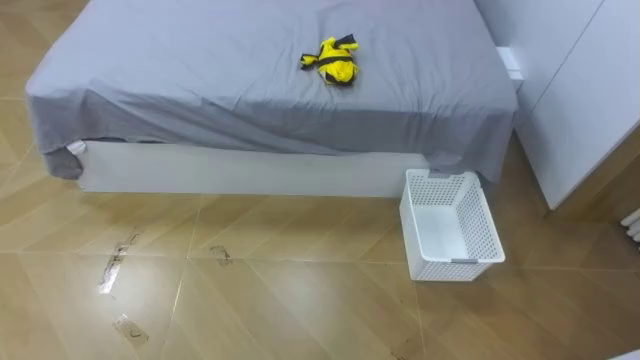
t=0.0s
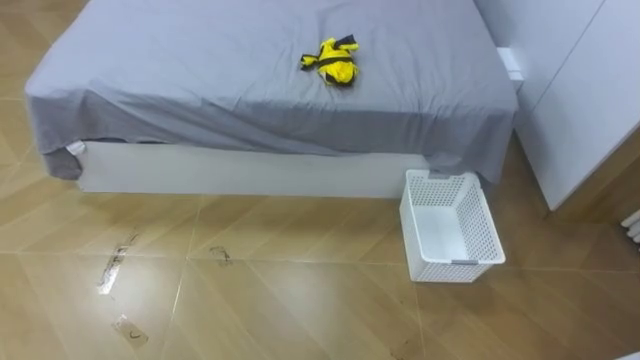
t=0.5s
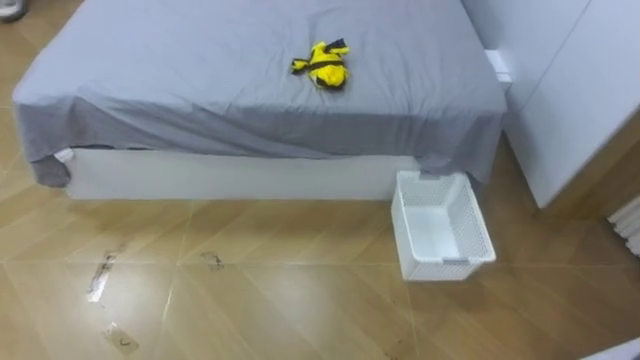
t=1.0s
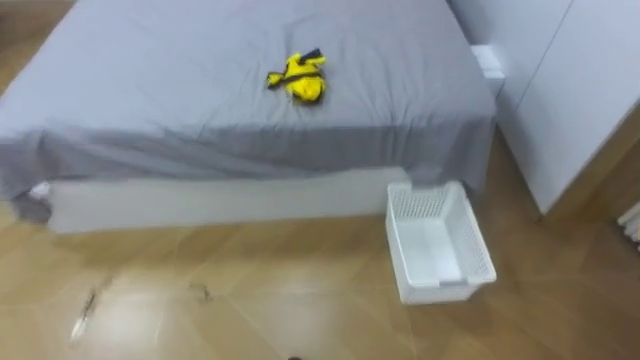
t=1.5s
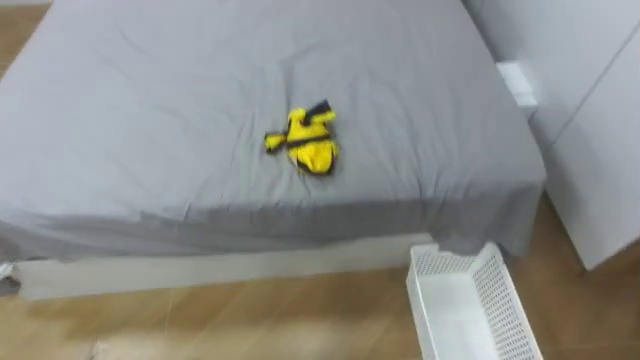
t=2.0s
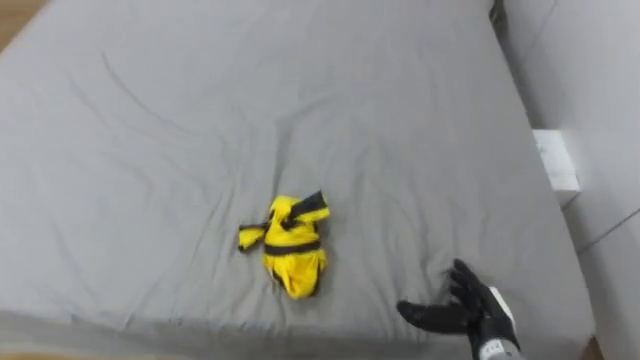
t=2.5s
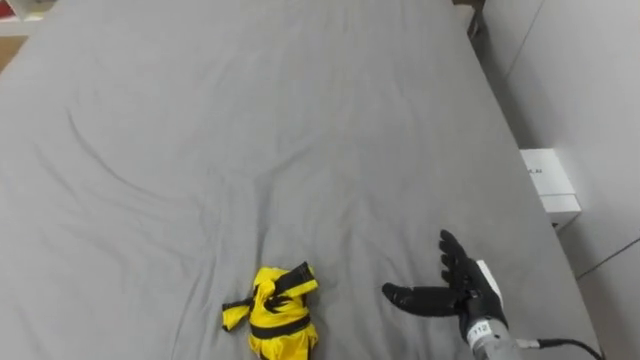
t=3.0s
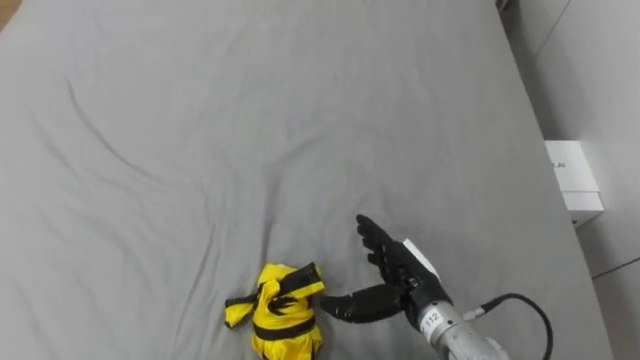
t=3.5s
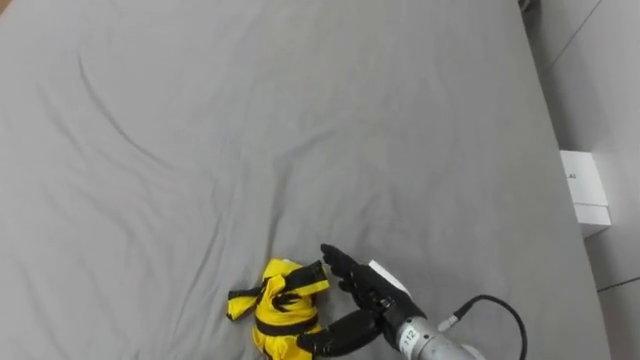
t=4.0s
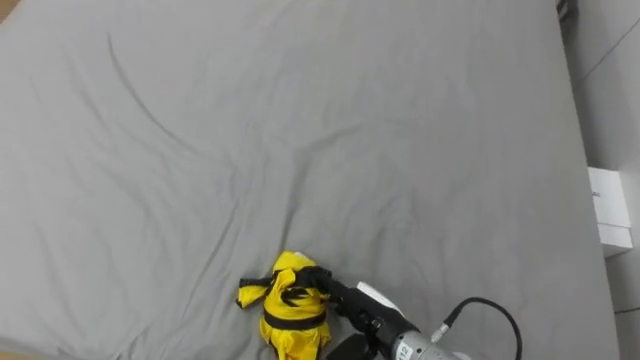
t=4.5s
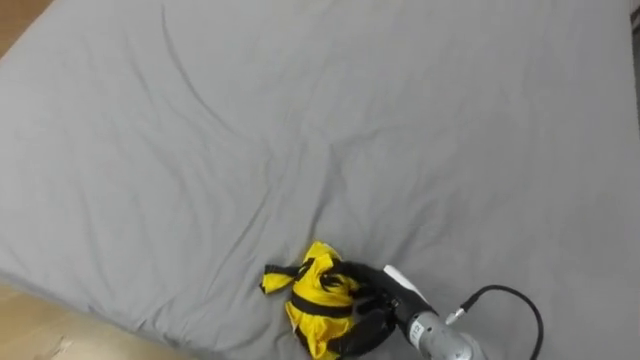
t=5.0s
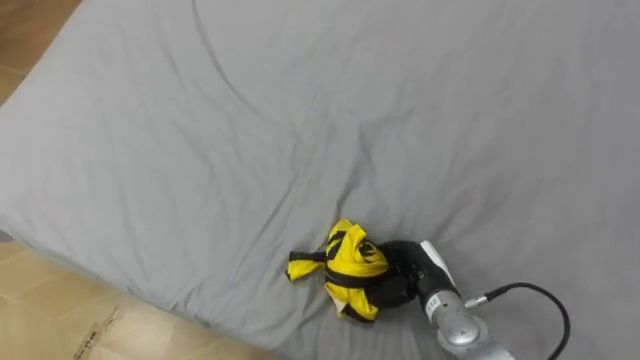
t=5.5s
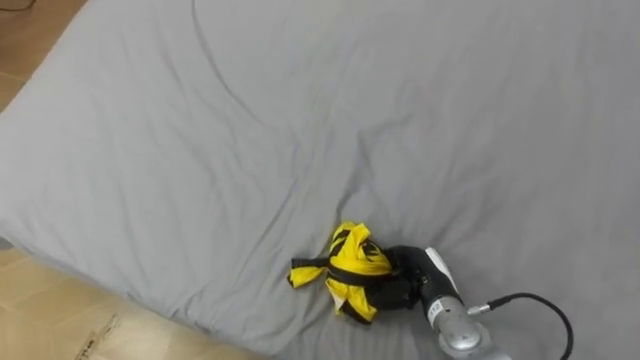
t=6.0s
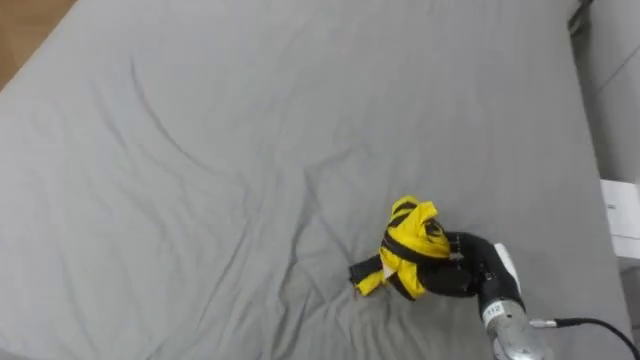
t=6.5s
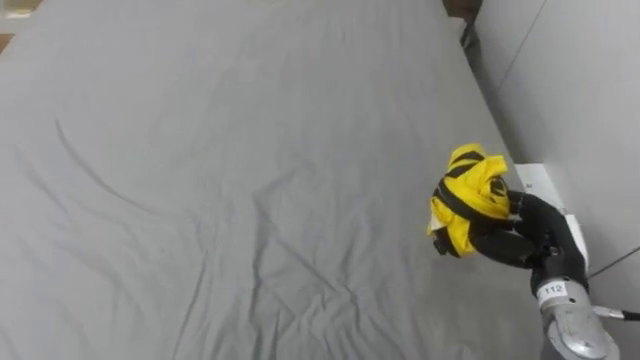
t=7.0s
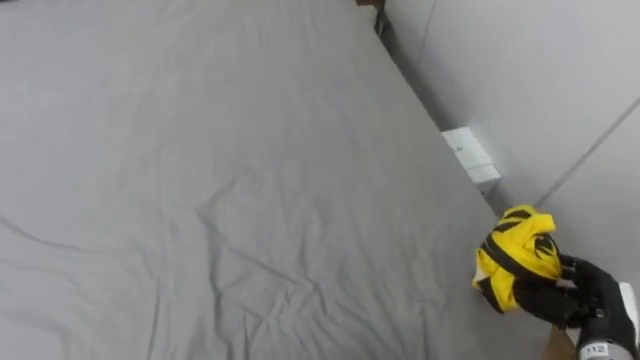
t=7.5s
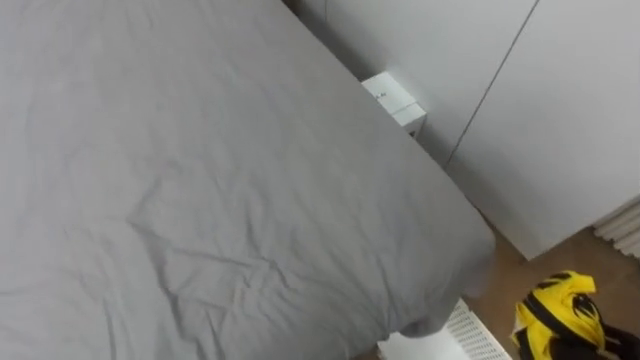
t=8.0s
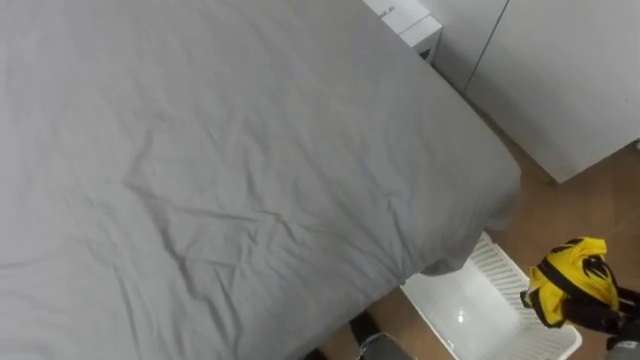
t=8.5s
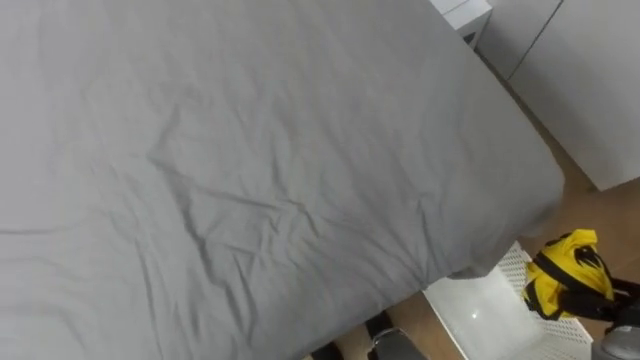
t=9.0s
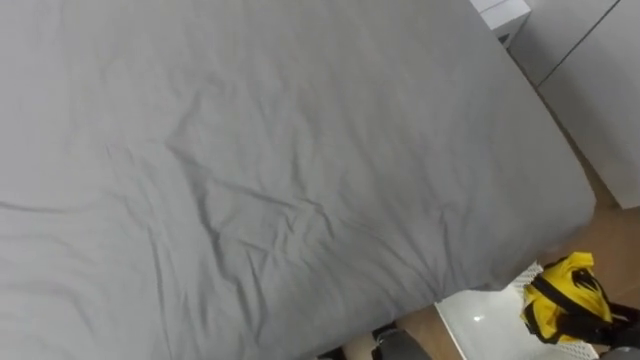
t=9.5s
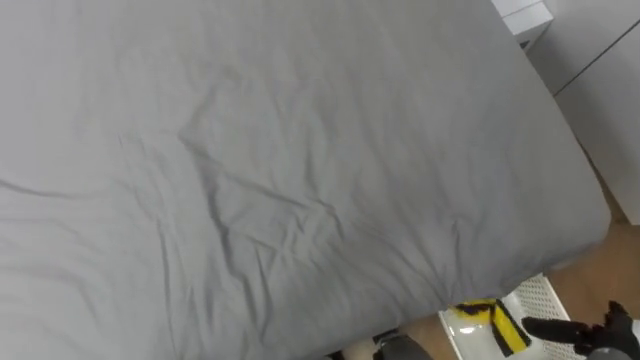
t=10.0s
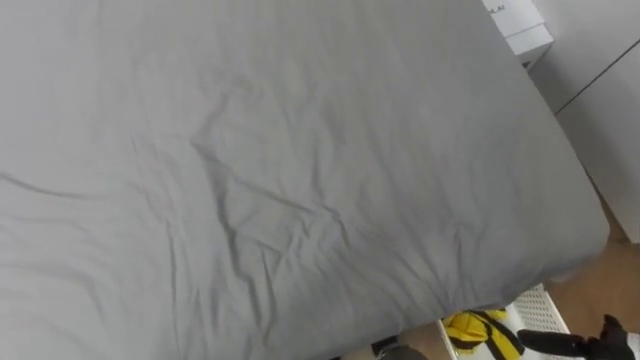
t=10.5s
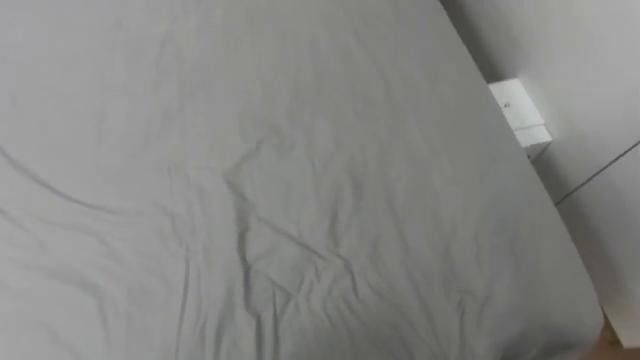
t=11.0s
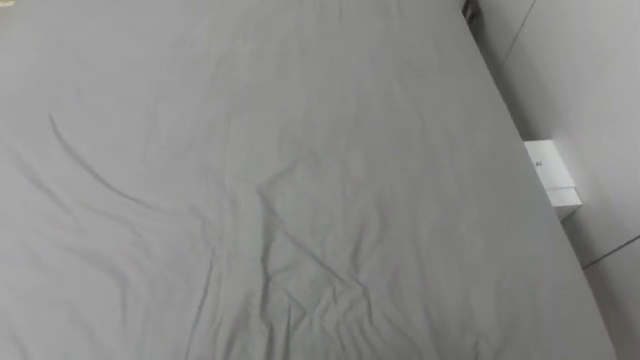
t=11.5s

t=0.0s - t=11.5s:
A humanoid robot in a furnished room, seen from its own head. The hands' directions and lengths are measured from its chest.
Task of the whole recording: Pick up the yellow clothes on the bed and place them into the white basket on the right.
t=4.0s - t=6.0s: The right hand is displaced to the right by some 5 cm, and closes.
t=6.0s - t=7.5s: The right hand is displaced to the right by roughly 20 cm.

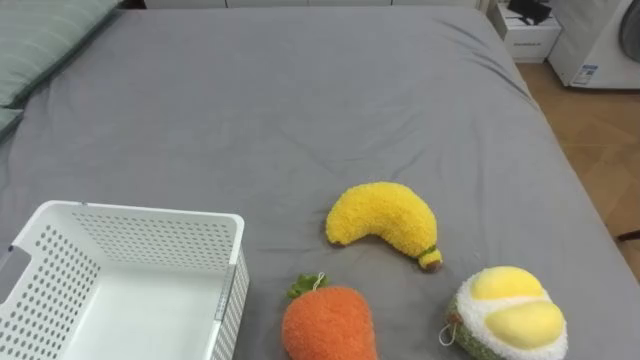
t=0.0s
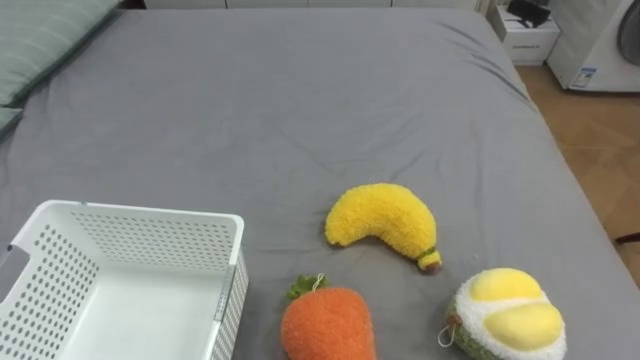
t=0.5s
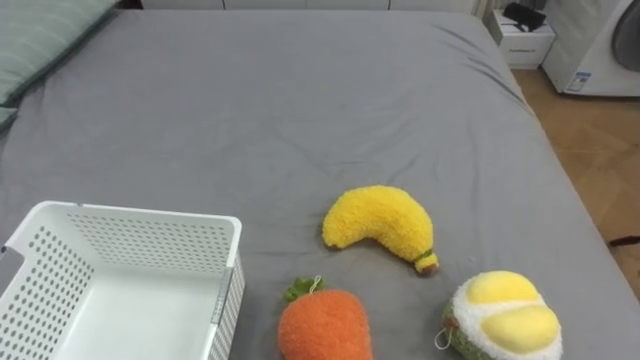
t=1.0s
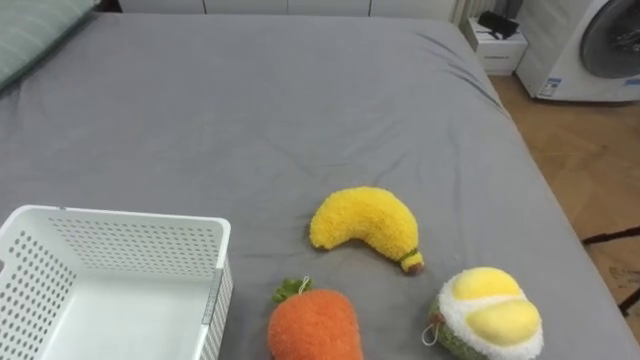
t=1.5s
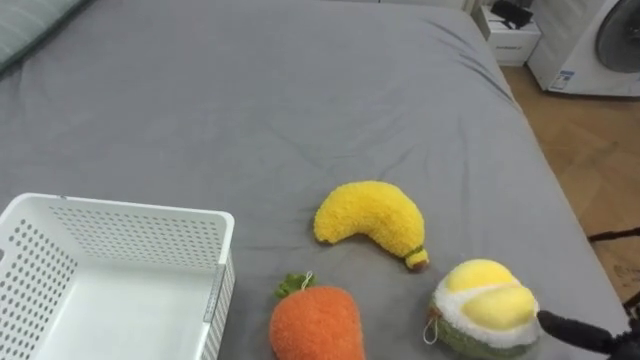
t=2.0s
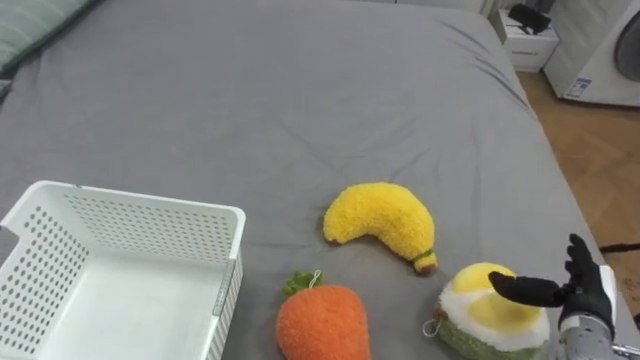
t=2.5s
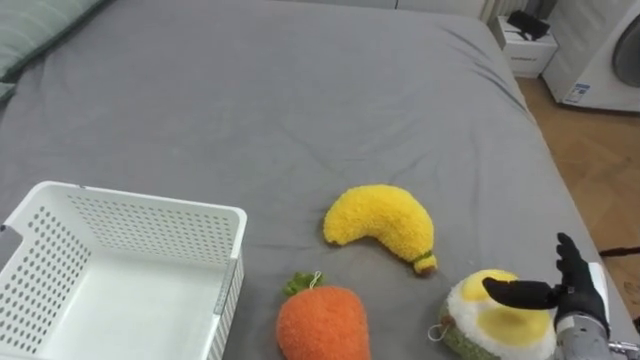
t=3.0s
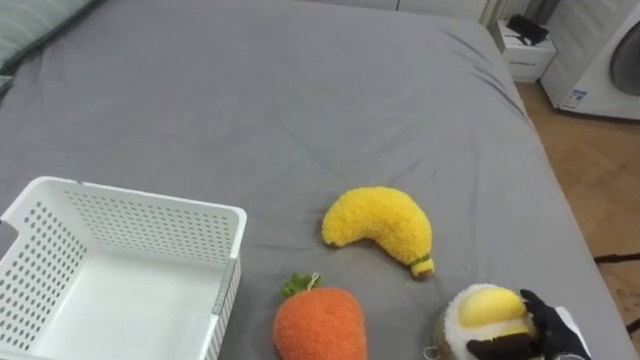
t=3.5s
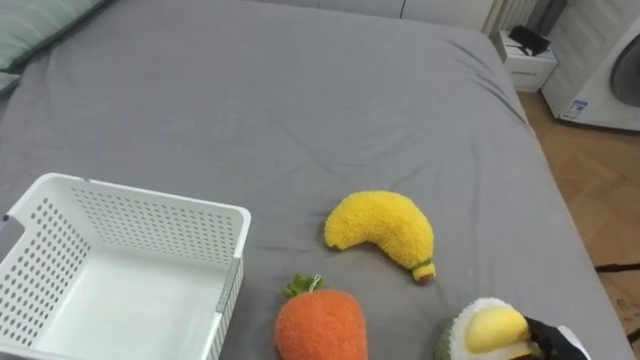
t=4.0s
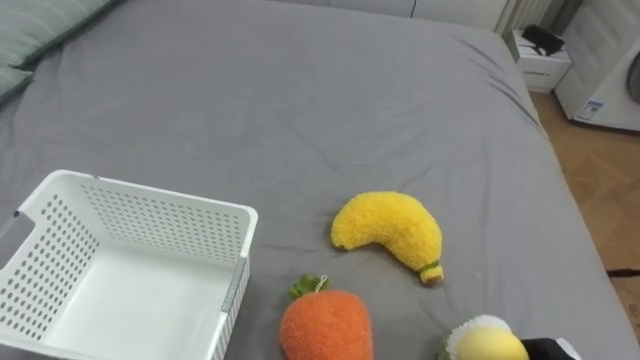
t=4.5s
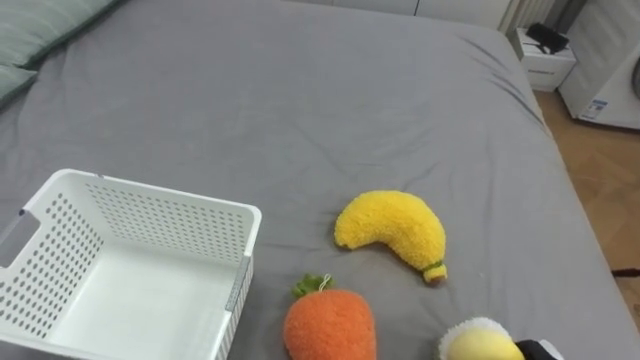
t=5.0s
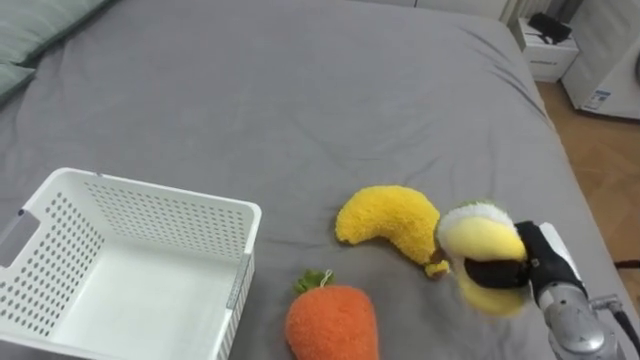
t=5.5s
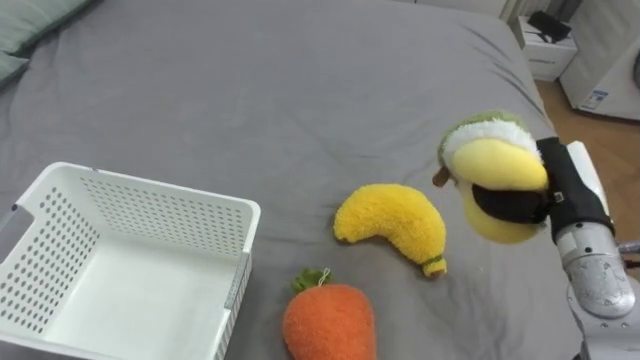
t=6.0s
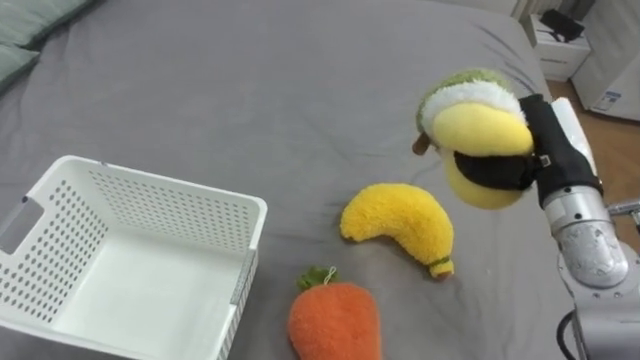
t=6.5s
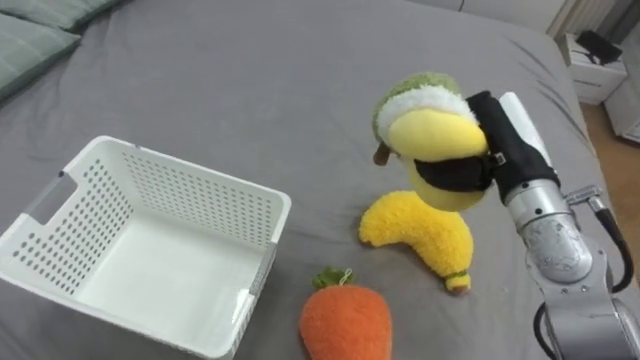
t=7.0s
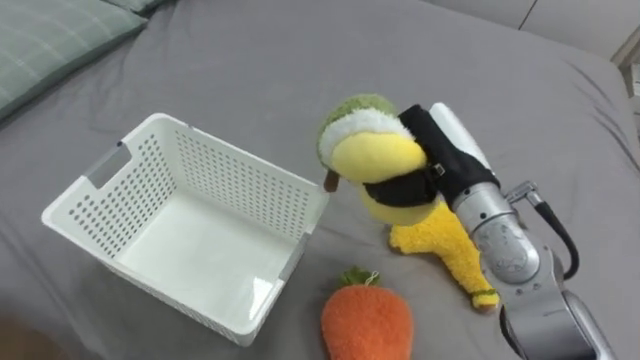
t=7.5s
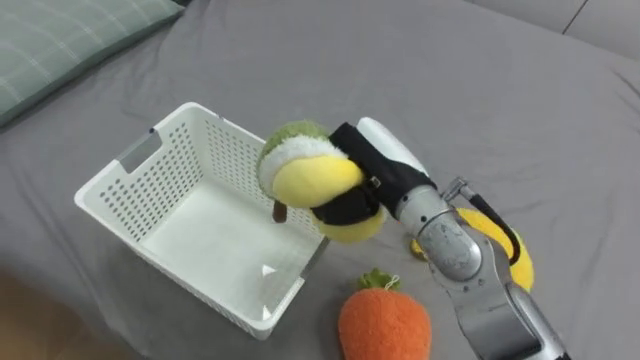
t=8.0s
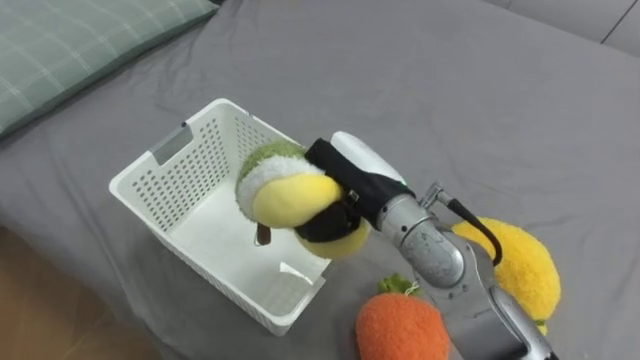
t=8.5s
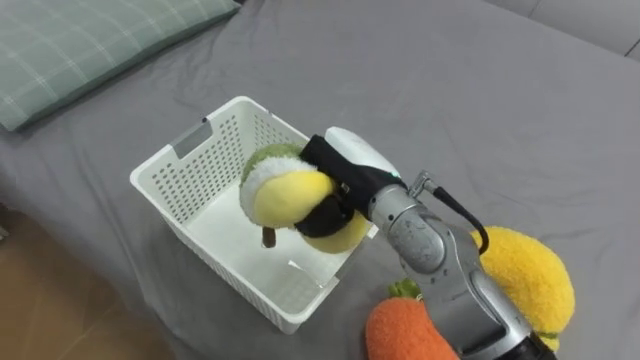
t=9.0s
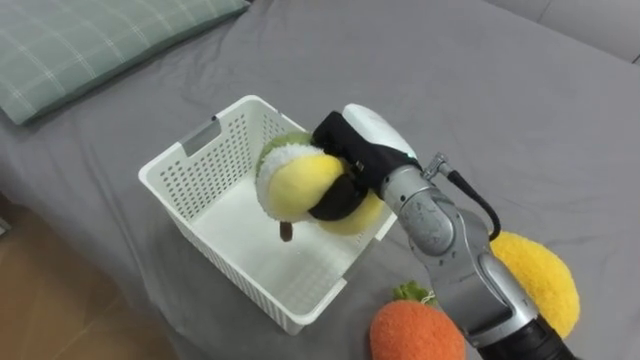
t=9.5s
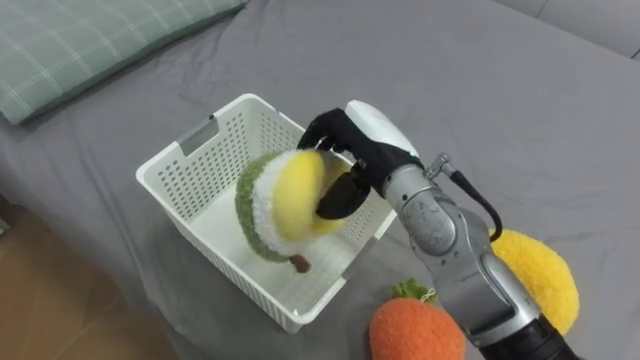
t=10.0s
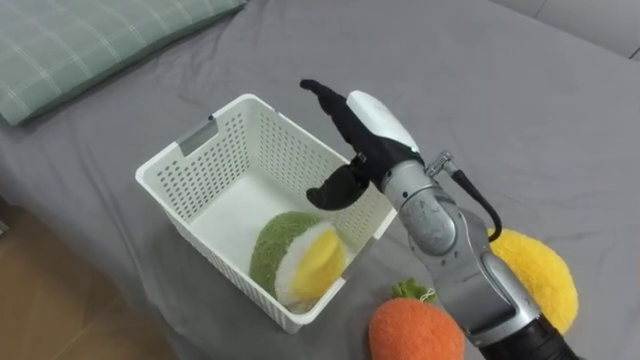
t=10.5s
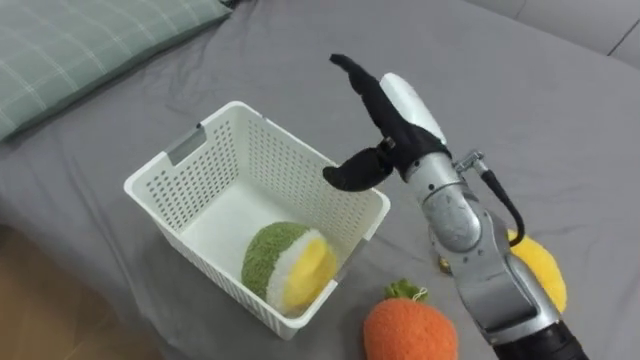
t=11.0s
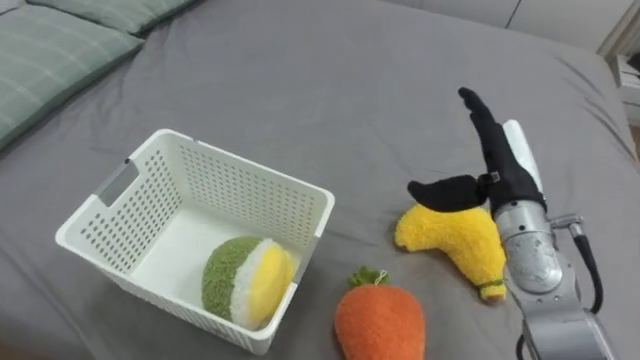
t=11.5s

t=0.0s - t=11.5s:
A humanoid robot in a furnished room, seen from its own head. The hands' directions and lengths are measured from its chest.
Task of the whole recording: Put the toys on the bed into the basket on the left.
t=6.0s - t=7.5s: The right hand shifts some 15 cm to the left.
t=7.5s - t=9.5s: The right hand goes approximately 10 cm to the left.
t=9.5s - t=11.5s: The right hand is displaced to the right by approximately 15 cm, and opens up.
